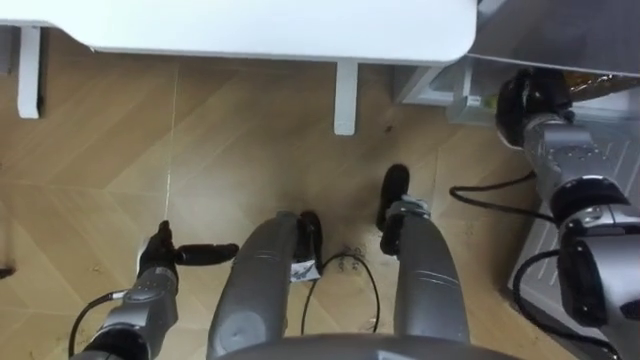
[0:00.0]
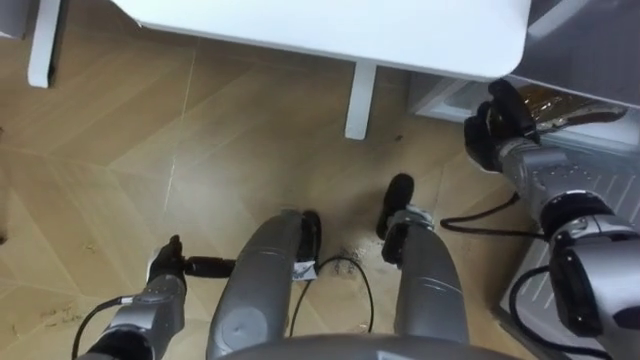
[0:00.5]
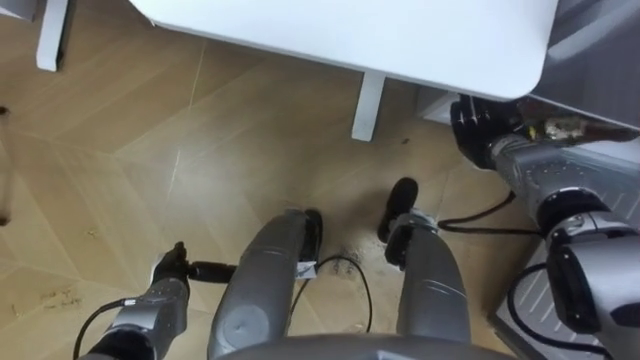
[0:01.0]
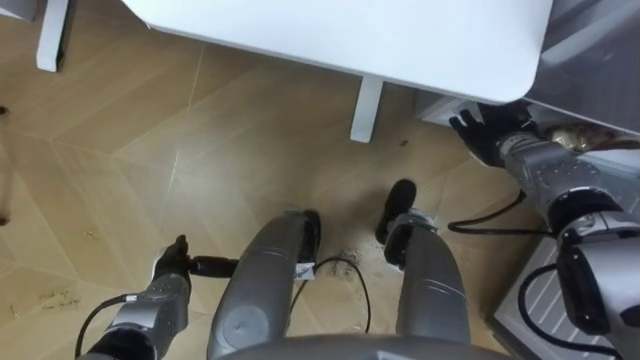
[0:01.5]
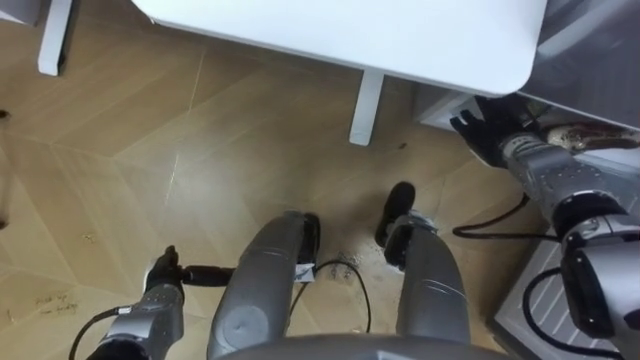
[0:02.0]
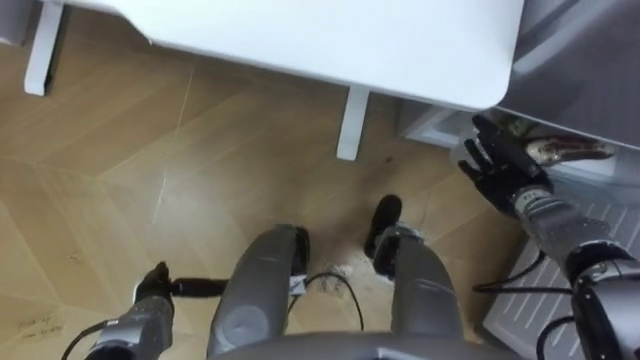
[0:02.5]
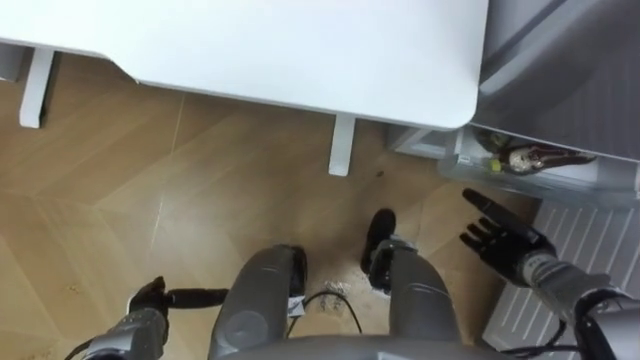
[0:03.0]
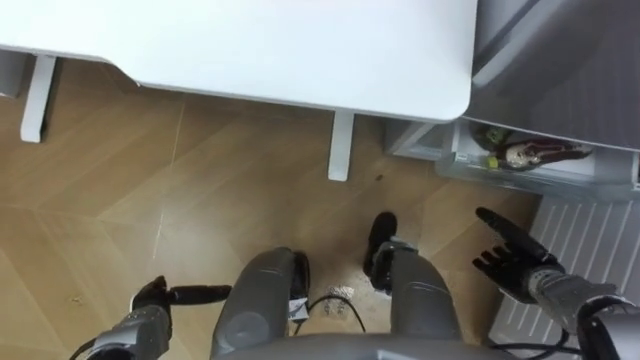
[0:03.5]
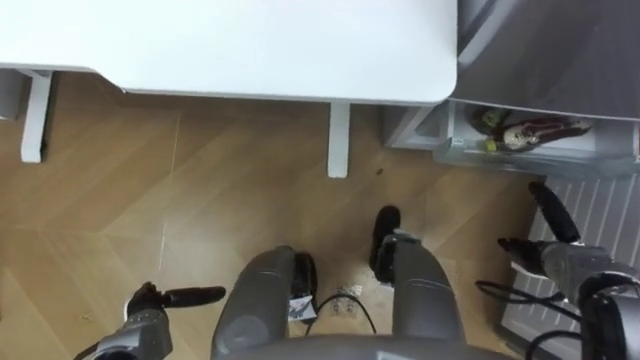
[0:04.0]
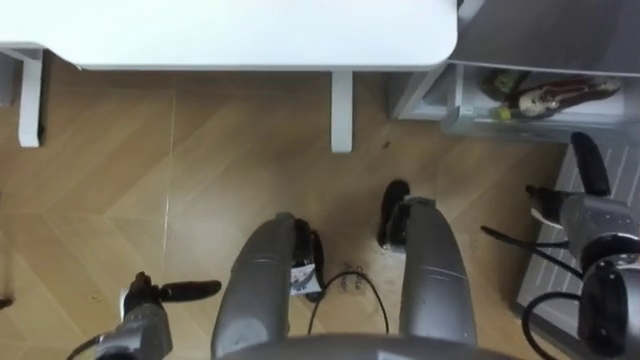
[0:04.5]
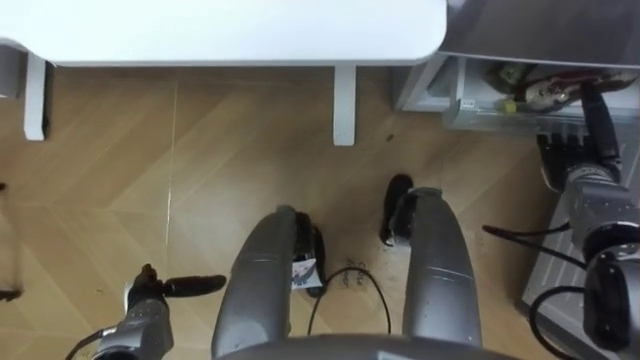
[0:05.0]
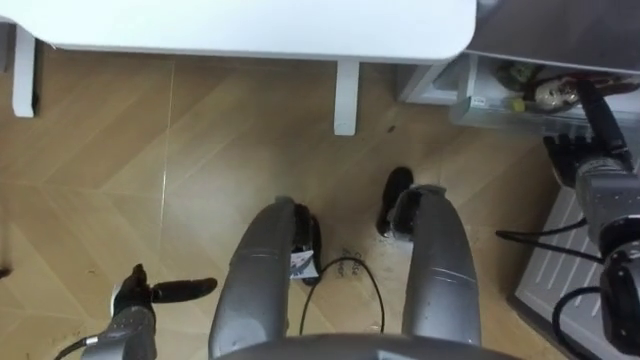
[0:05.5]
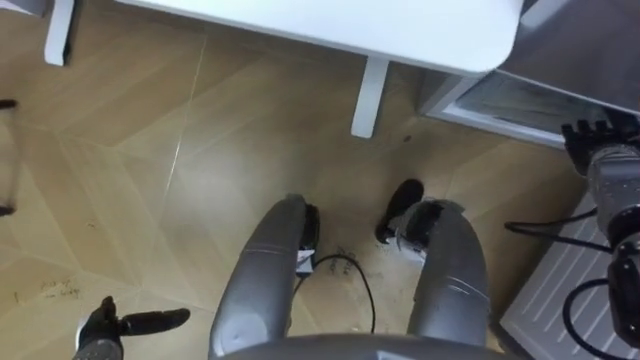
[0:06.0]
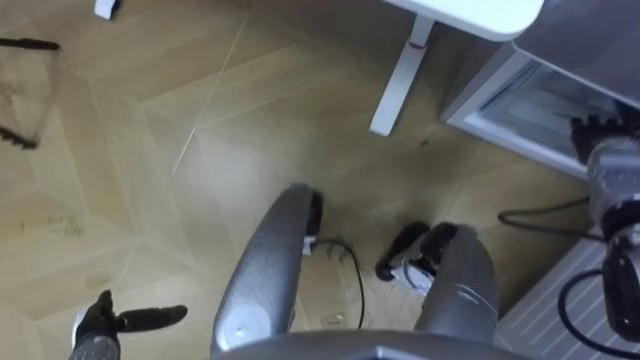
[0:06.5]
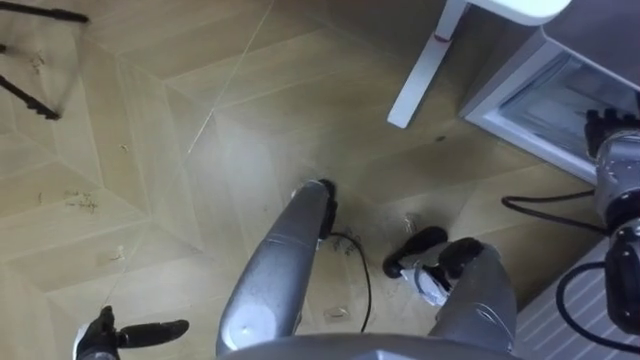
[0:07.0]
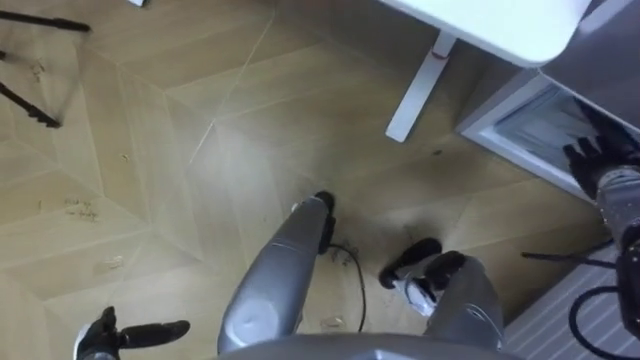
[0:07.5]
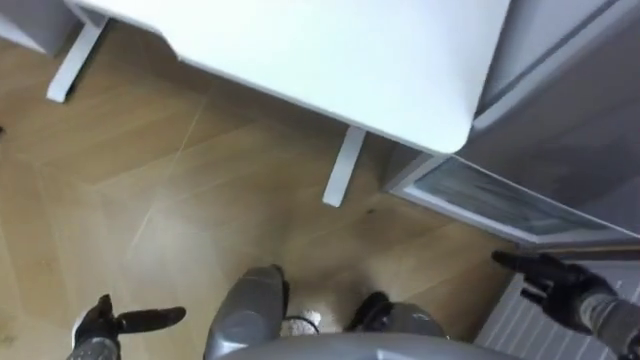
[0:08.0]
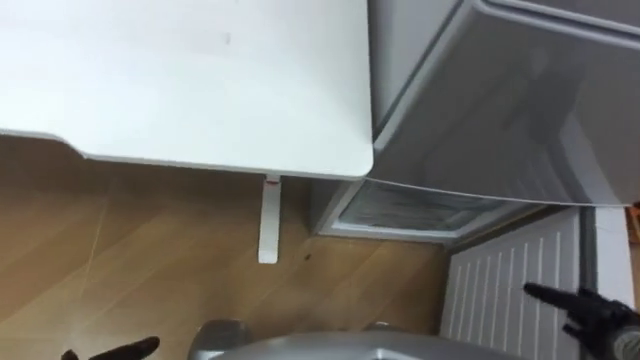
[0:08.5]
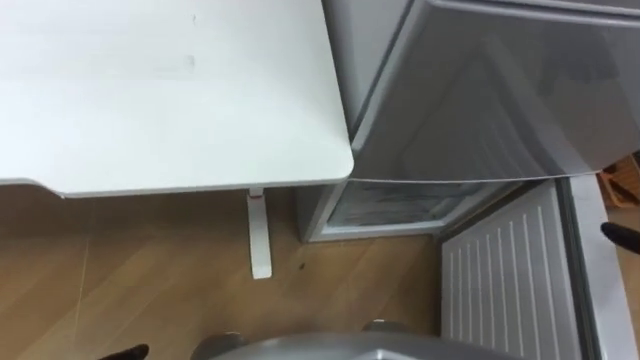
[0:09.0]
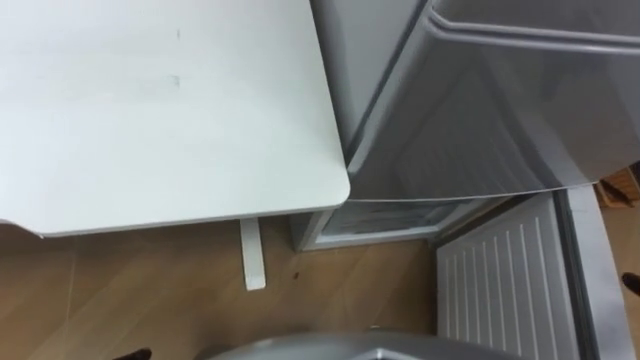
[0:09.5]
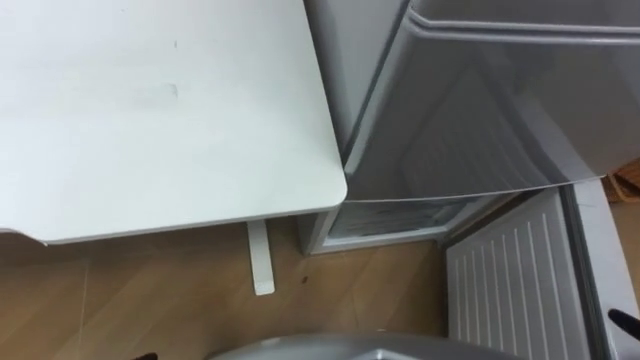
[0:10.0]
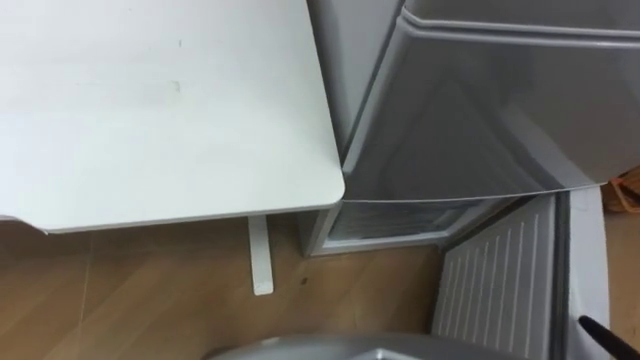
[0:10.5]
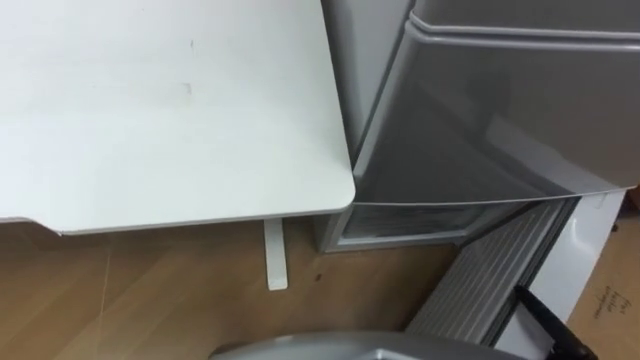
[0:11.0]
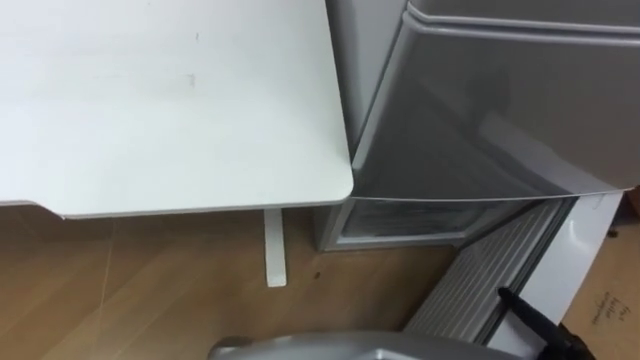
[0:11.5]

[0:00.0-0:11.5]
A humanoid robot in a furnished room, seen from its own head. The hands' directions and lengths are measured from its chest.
Task of the whole recording: Place the drink on the table on the bottom shelf of the refrigerator, then close the drawer and the refrigerator door.
0:00.0 to 0:02.0: The right hand opens.
0:02.0 to 0:04.0: The right hand travels backward, downward and to the right by roughly 20 cm. Meanwhile the left hand ends up roughly 5 cm from where it was.
0:04.0 to 0:06.0: The right hand travels forward and upward by about 15 cm; the left hand shifts some 5 cm to the left.

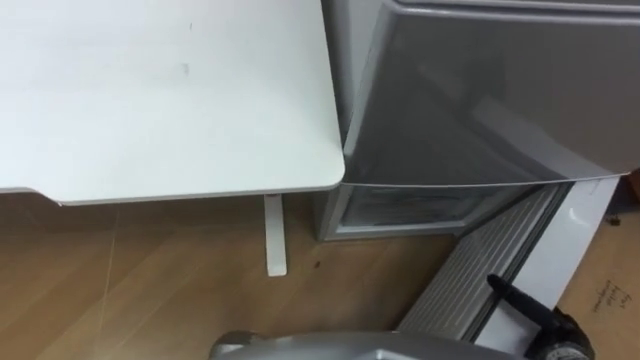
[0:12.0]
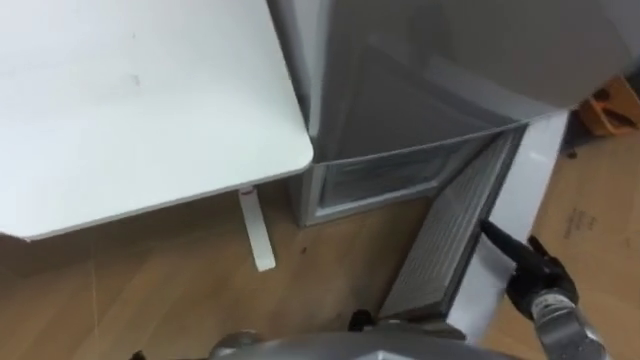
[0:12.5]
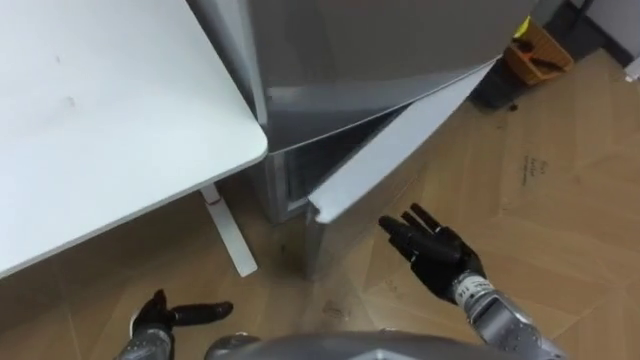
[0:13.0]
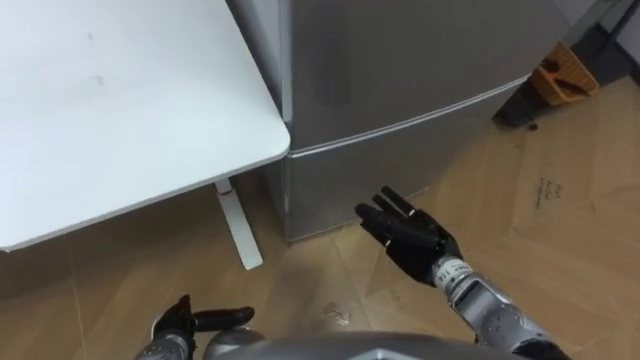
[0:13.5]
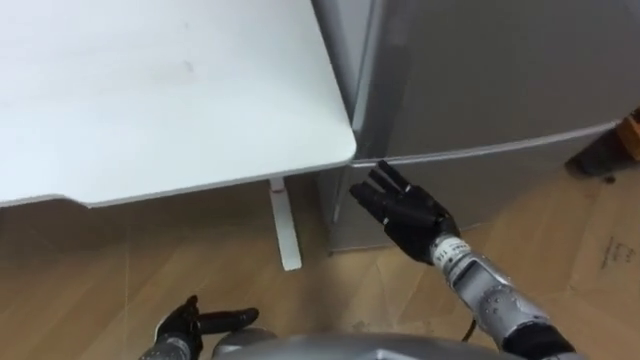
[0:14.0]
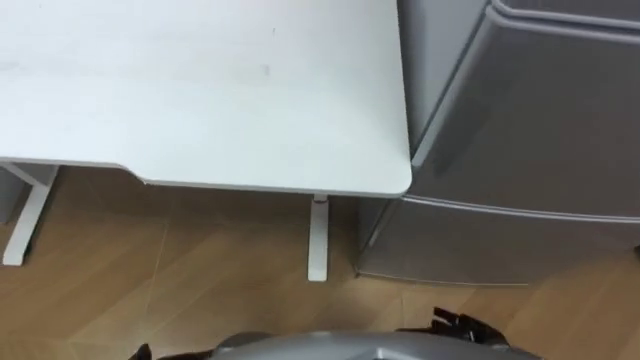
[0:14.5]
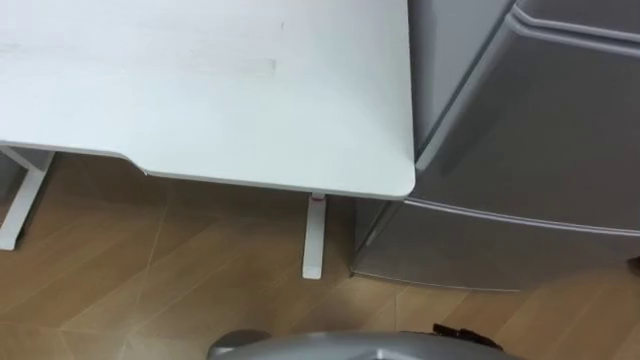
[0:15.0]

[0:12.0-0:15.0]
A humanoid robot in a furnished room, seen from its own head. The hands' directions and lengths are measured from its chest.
Task of the whole recording: Place the drink on the table on the bottom shelf of the refrigerator, then close the drawer and the refrigerator door.
0:12.0 to 0:13.5: The robot faces about 20 degrees further to its right. The right hand shifts roughly 20 cm to the left and forward.
0:13.5 to 0:15.0: The robot turns to its left by roughly 30 degrees.

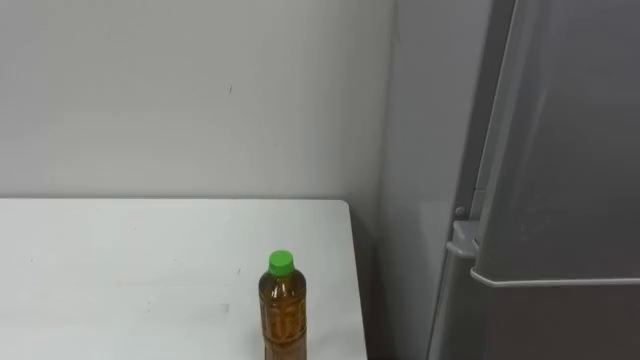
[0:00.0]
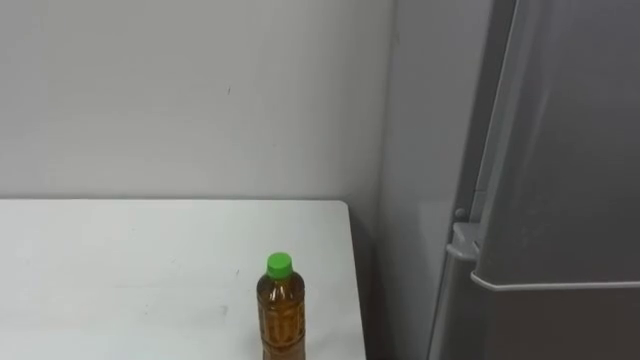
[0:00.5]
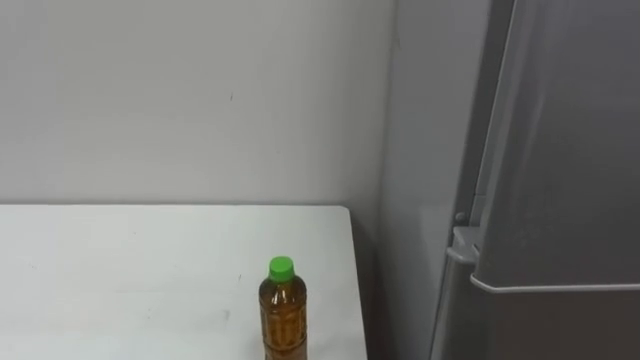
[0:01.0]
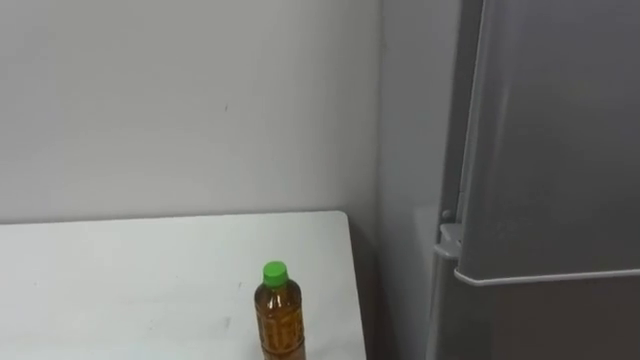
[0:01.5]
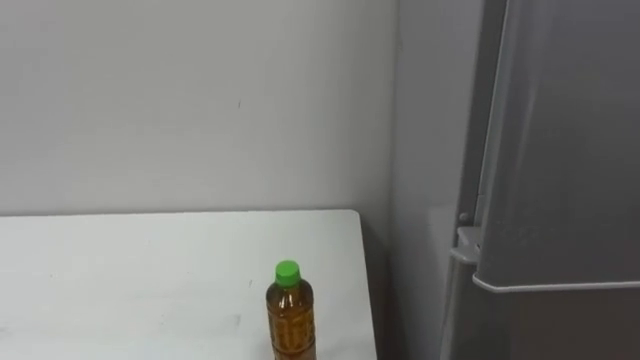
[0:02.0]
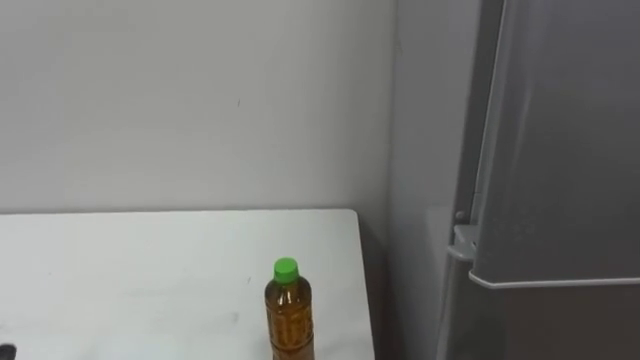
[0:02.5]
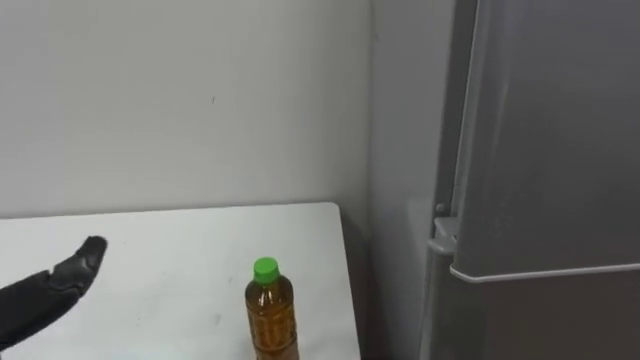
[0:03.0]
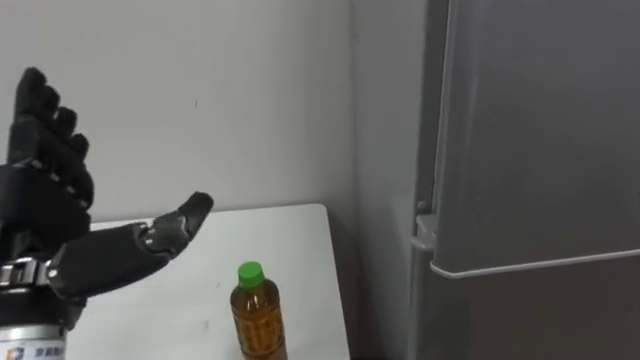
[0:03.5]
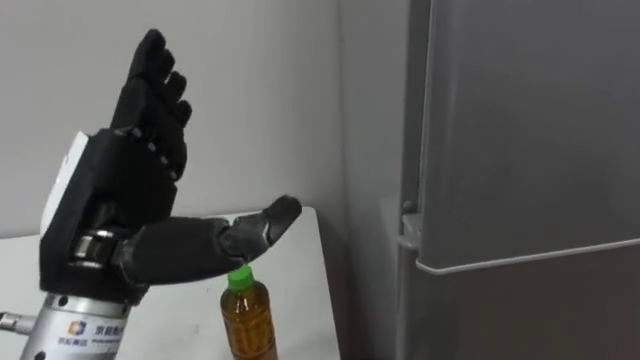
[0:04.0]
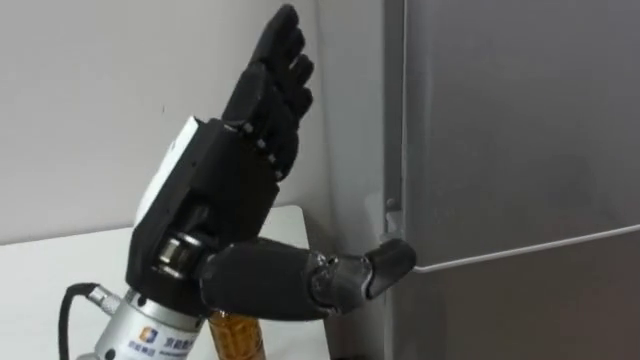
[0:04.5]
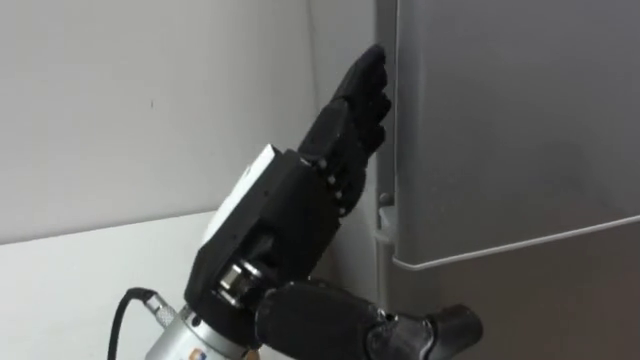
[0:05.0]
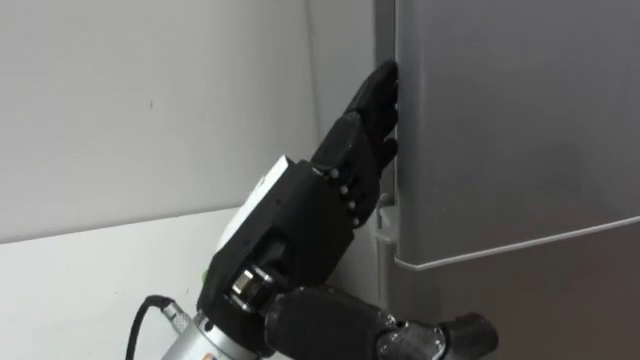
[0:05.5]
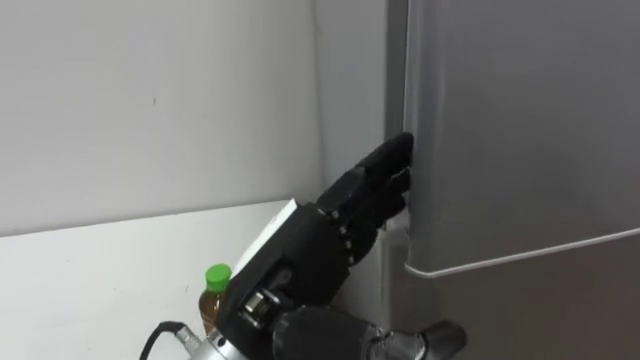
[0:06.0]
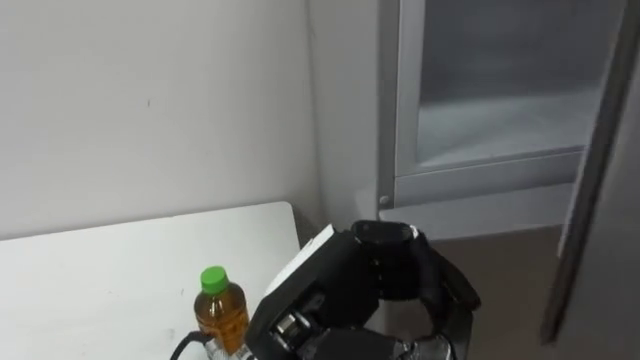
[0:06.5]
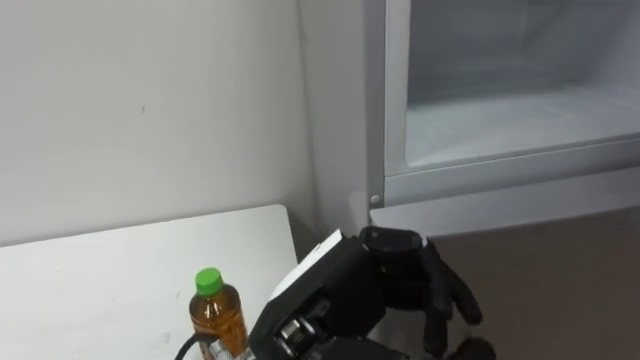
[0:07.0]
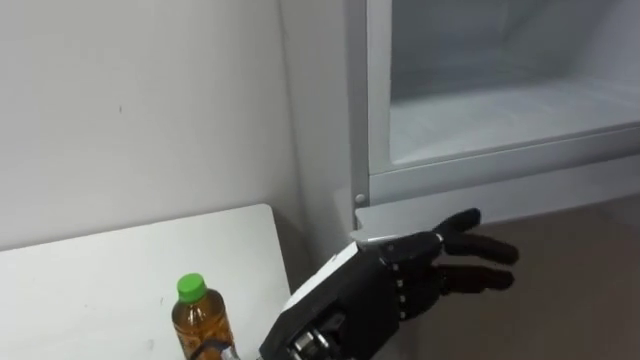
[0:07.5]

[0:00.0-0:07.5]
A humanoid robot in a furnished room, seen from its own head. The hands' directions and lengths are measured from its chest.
Task of the whole recording: Open the upper refrigerator door, put the drink from the table into the refrigerator, and then close the refrigerator door.
0:04.0 to 0:05.5: The left hand is displaced to the right by about 10 cm.
0:05.5 to 0:07.5: The left hand is displaced downward by roughly 5 cm, and closes and opens again.
